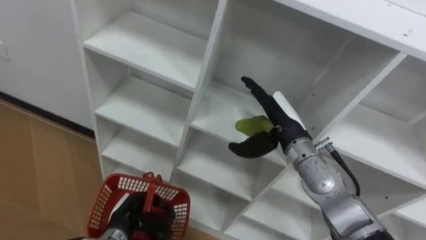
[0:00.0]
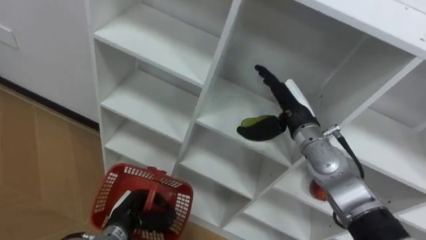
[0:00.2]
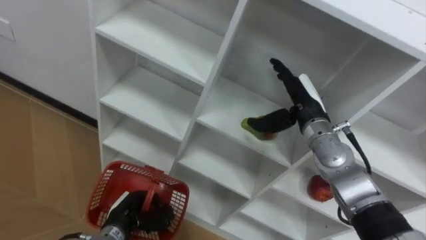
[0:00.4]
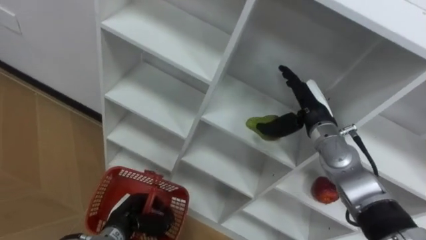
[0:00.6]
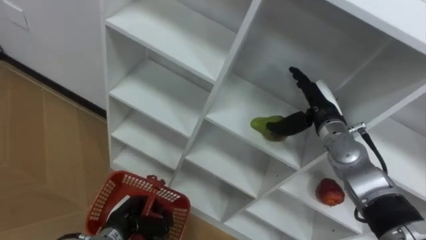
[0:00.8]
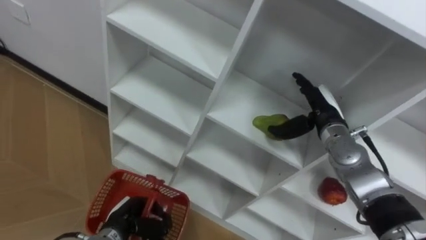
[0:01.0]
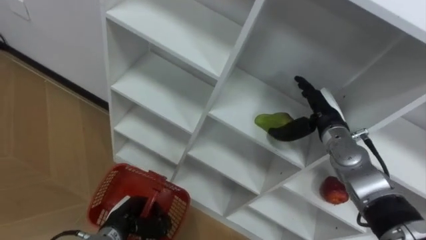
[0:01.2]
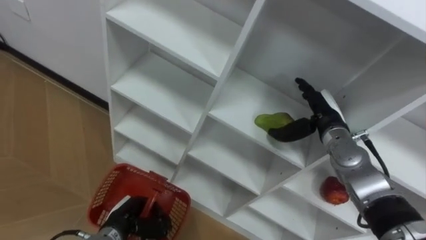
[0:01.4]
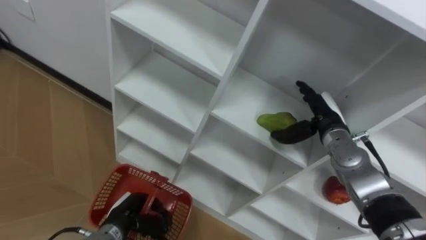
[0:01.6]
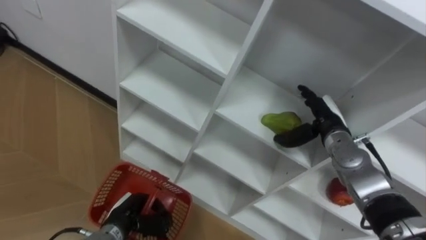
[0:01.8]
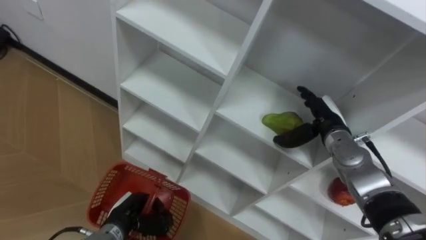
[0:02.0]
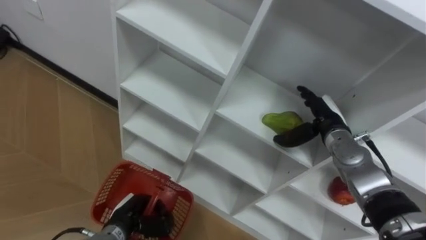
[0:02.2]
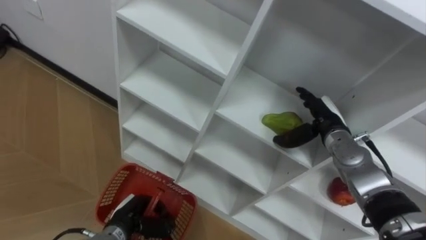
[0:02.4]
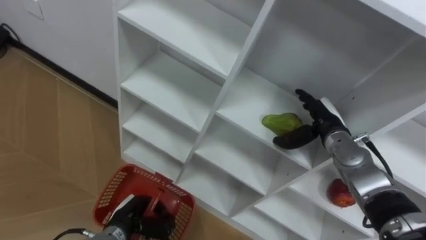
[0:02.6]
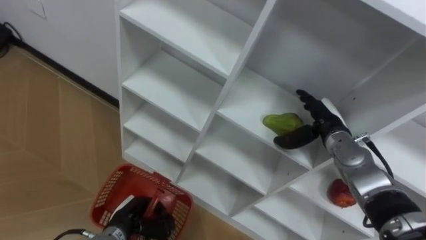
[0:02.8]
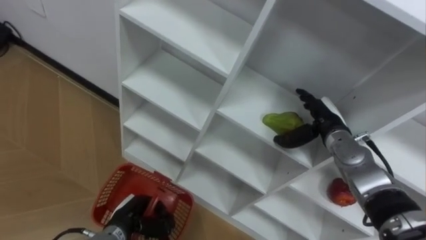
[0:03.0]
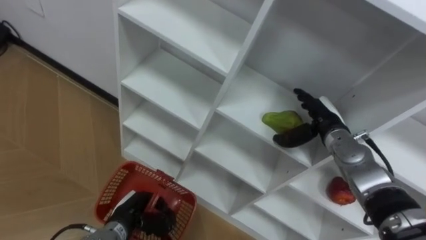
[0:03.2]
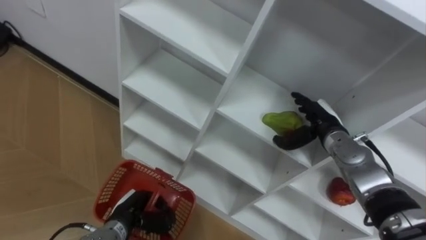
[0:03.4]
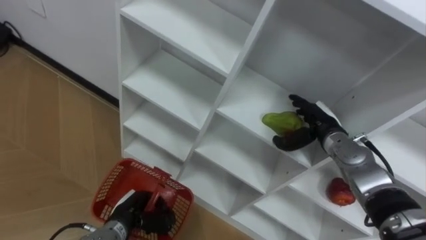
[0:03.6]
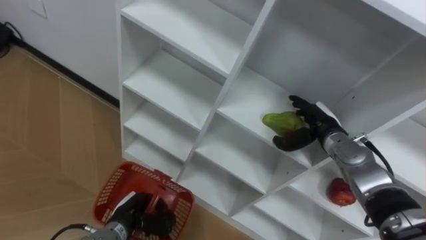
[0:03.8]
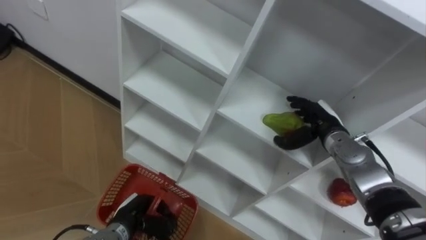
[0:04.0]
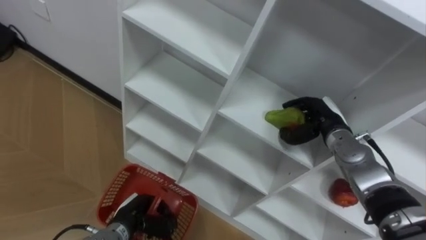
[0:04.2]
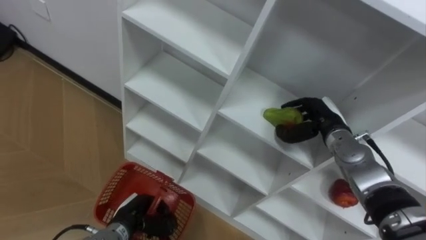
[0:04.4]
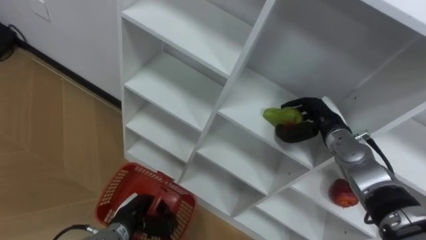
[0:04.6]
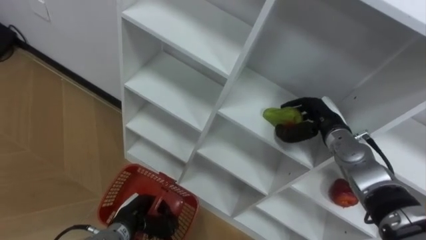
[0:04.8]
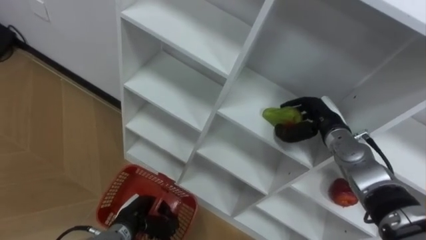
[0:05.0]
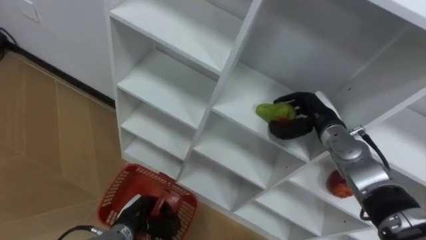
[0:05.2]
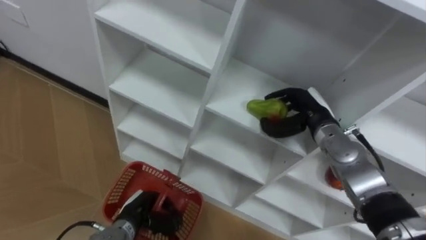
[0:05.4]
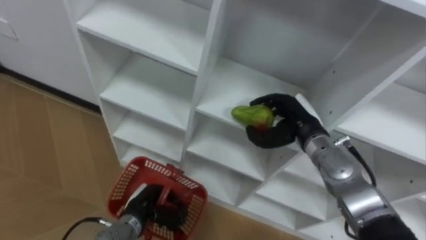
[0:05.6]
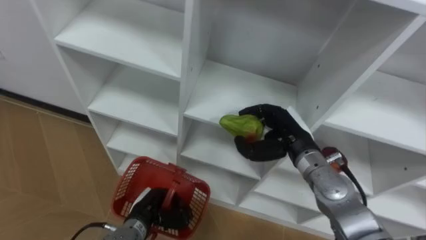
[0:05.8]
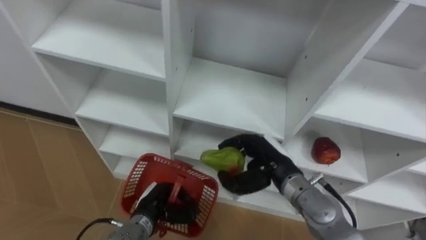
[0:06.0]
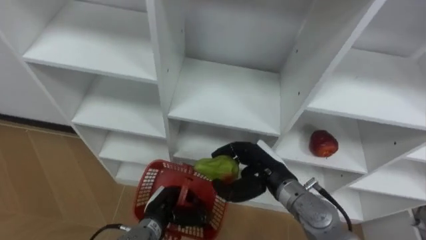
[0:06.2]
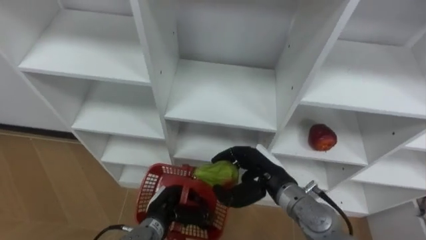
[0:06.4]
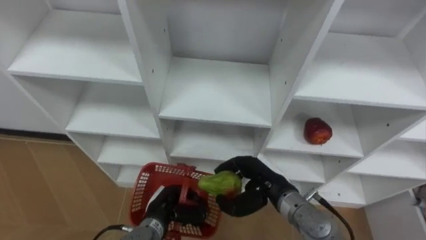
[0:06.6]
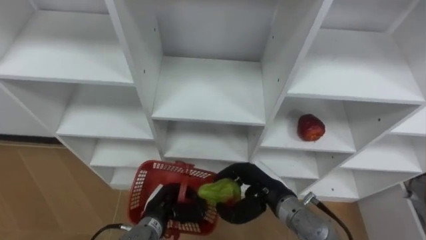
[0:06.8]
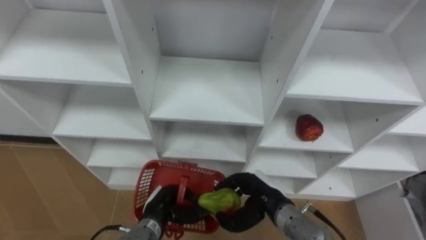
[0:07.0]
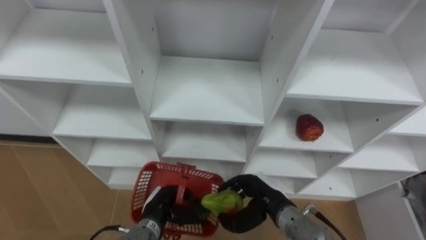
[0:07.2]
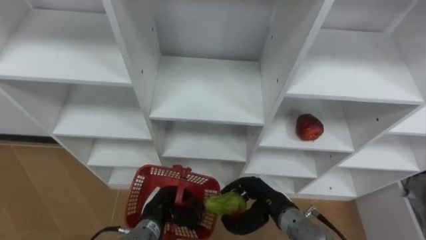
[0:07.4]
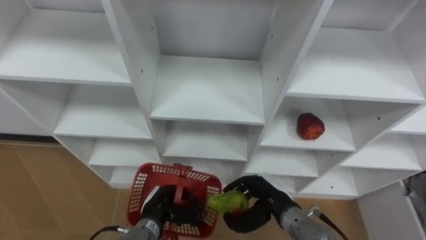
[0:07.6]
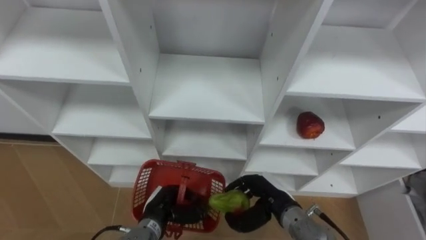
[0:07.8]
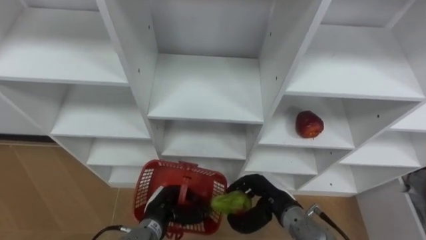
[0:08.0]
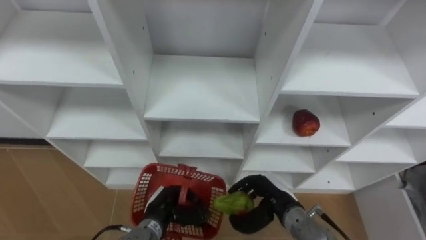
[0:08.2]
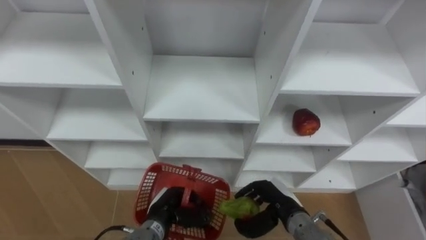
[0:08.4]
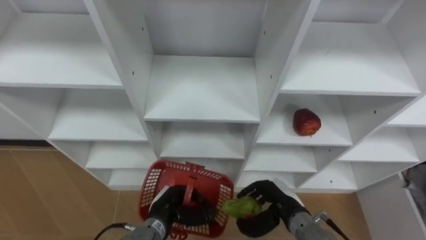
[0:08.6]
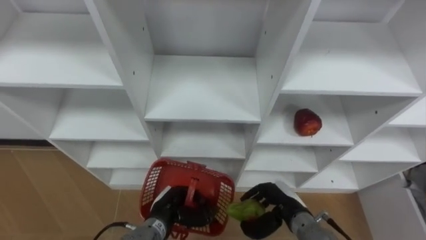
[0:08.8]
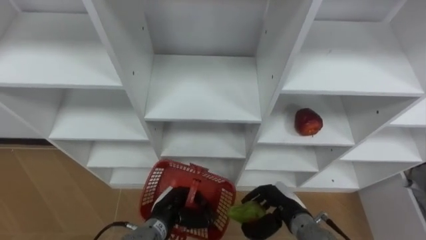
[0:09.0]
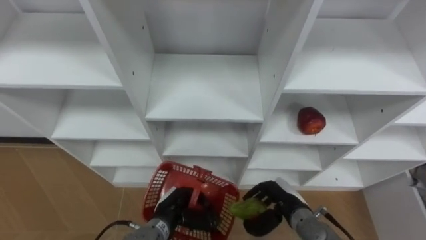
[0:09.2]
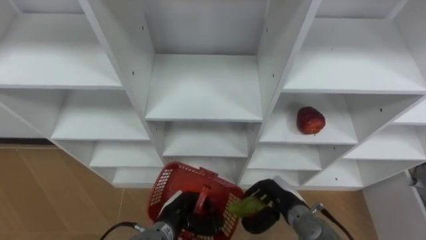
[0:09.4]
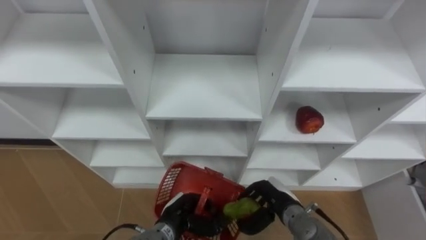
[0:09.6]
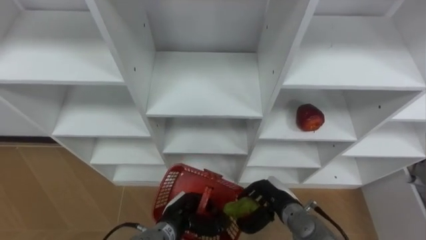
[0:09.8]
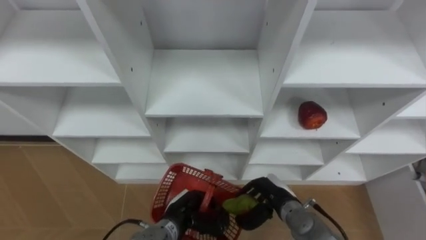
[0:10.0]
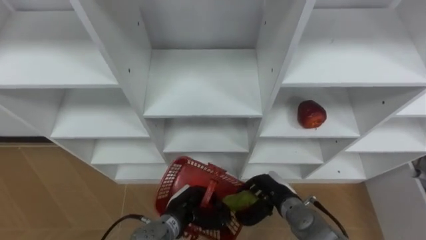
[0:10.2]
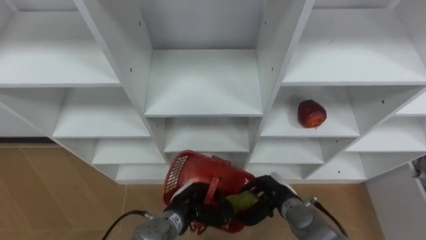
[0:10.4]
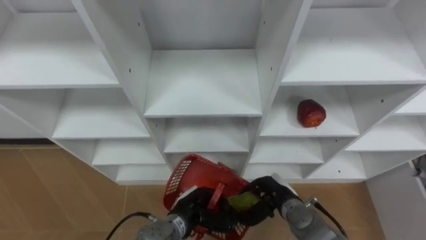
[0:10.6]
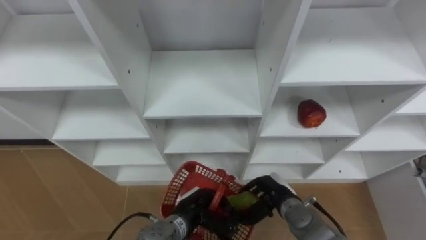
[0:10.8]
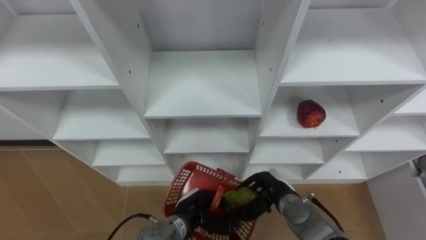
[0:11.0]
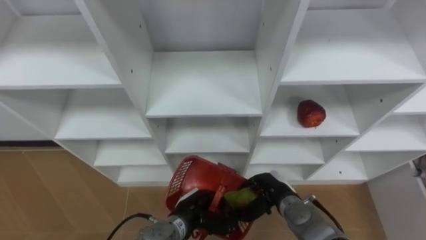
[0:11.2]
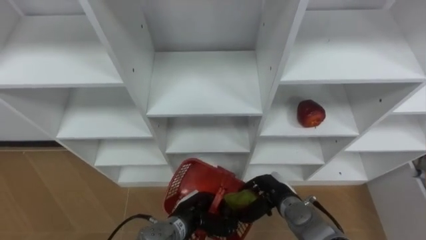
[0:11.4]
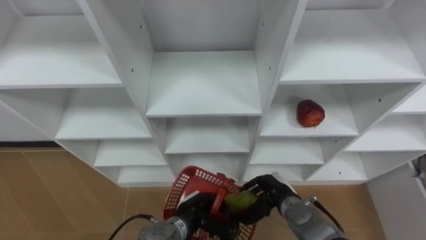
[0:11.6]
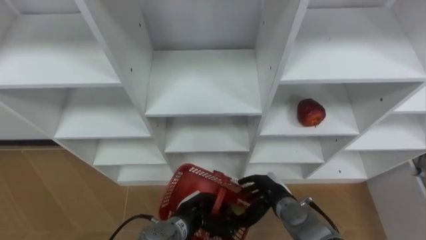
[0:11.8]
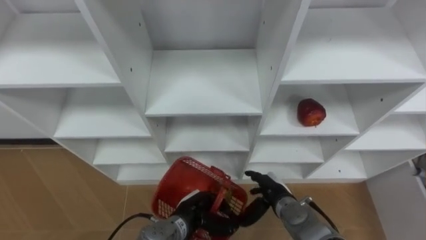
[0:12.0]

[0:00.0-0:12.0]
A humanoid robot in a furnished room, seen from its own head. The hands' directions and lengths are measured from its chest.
Task of the whole recording: Hold the basket and collect the fruits from 3 different cells of the closet into it.
0:00.0 to 0:01.6: The right hand moves to the right, roughly 10 cm.
0:01.6 to 0:03.0: There are only small adjustments of the hands.
0:03.0 to 0:04.4: The right hand closes up.
0:04.4 to 0:06.0: The right hand is displaced to the left and backward by approximately 15 cm.
0:06.0 to 0:07.6: The right hand goes about 10 cm downward and backward.
0:07.6 to 0:09.0: The hands stay close to where they were, moving slightly.
0:10.4 to 0:12.0: The right hand opens.

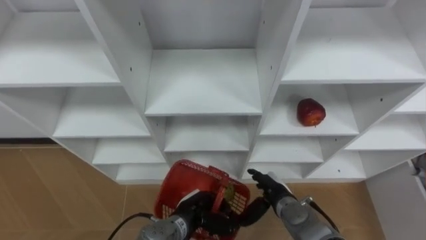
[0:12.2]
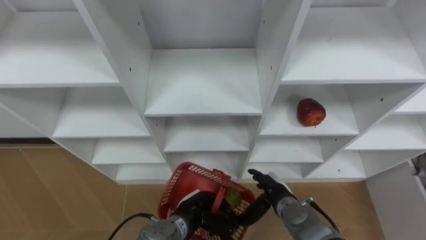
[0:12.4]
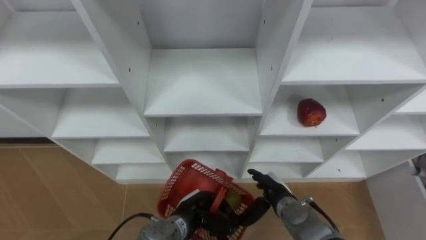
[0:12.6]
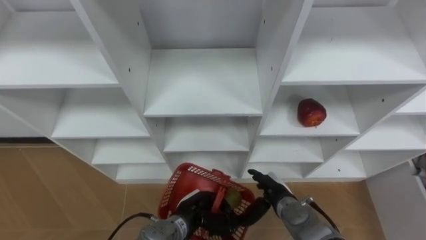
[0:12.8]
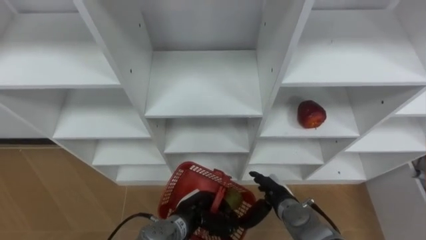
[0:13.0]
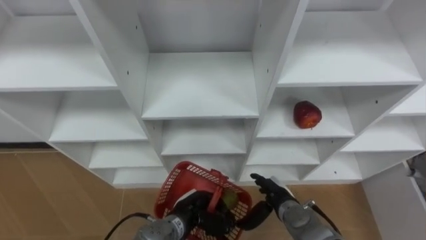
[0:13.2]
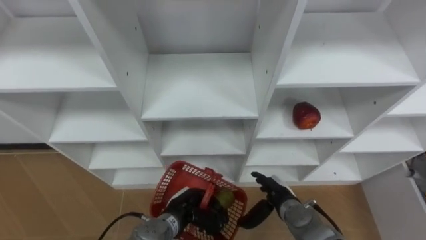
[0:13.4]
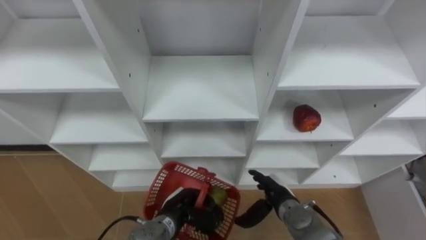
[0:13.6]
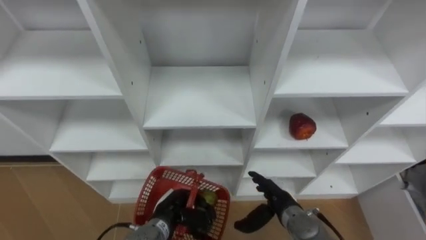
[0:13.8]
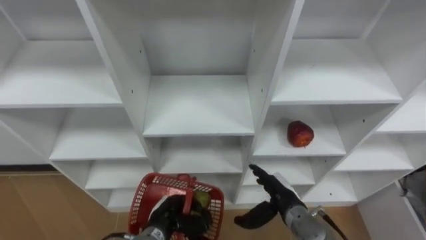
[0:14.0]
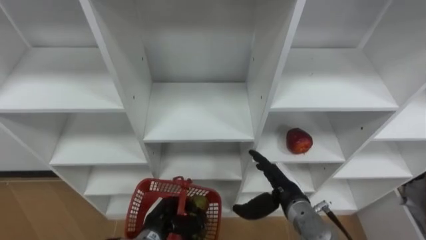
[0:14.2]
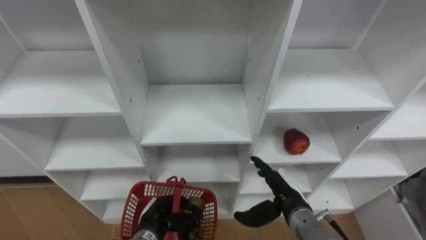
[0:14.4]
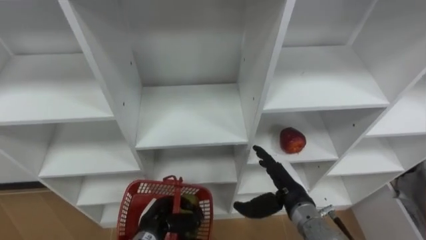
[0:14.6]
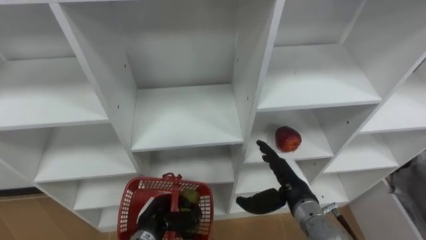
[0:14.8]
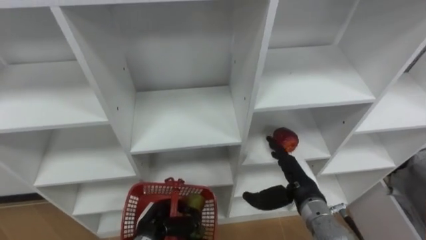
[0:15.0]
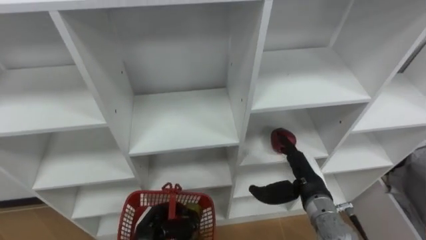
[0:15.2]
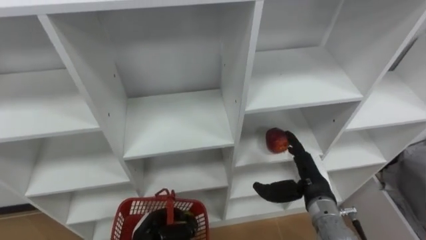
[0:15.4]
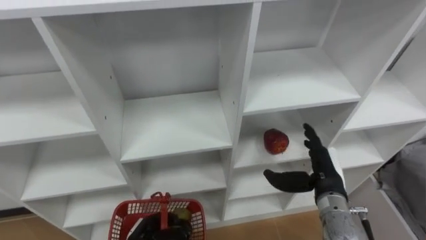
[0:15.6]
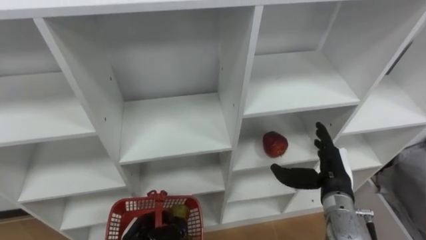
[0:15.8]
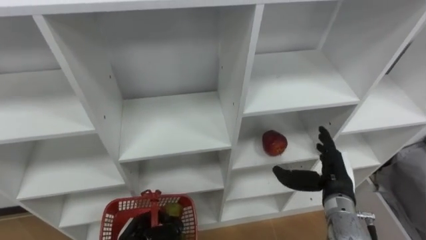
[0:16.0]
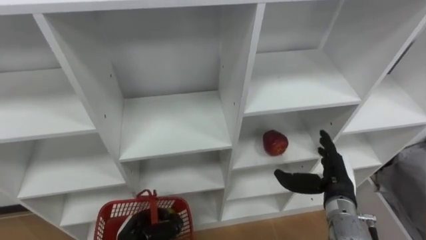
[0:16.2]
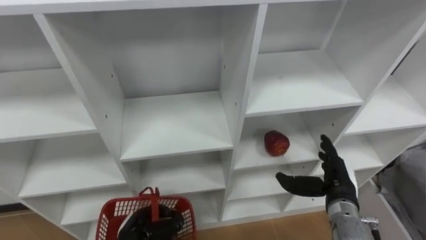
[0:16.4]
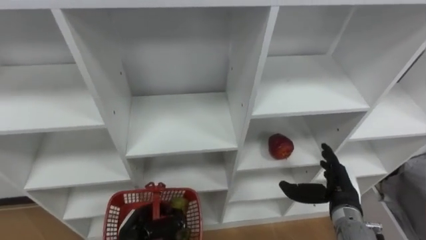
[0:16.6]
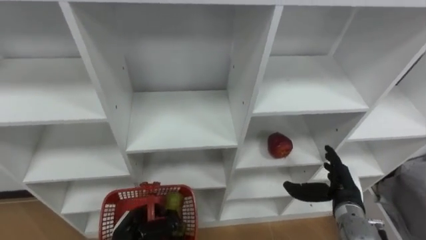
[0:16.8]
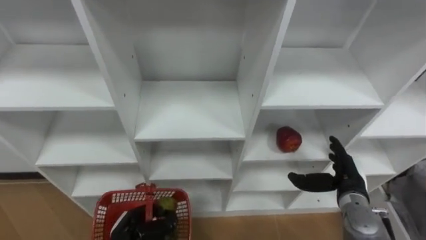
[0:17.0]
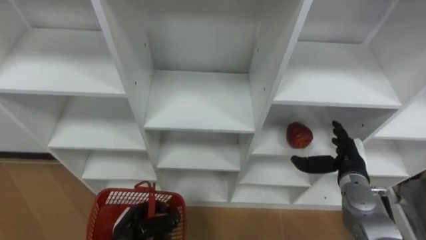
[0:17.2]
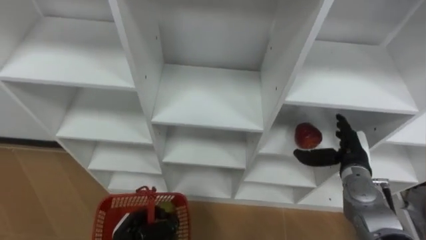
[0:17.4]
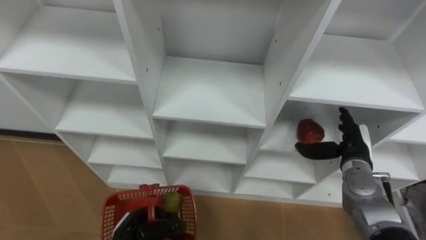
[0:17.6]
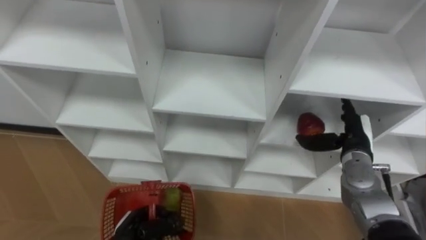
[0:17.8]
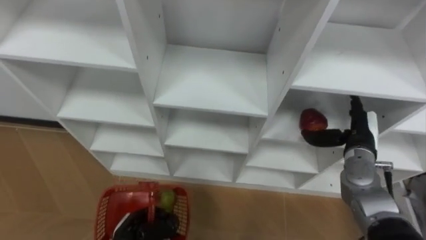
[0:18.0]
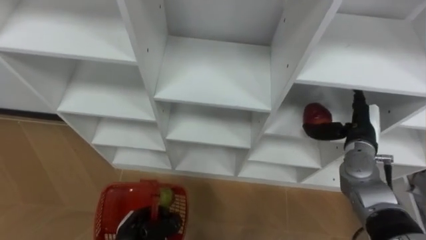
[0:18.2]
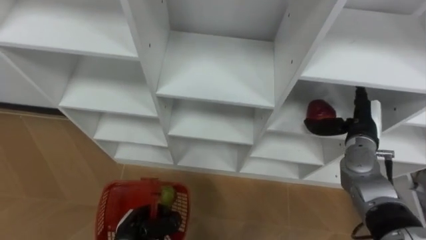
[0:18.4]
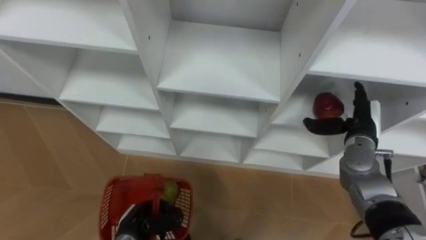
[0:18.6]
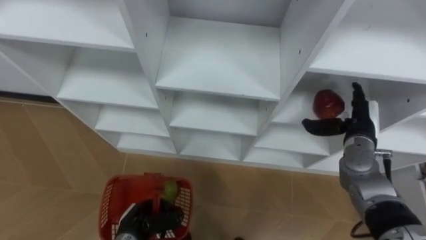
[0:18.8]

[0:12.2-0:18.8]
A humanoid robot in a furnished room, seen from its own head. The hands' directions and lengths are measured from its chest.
Task of the whole recording: Hold the basket and collect the fruits from 3 different cells of the closet into it.
0:13.8 to 0:15.4: The right hand travels upward and to the right by approximately 10 cm. The left hand shifts by roughly 5 cm.
0:15.4 to 0:17.2: The right hand heads to the right, covering some 10 cm.
0:17.2 to 0:18.8: The right hand is displaced forward and upward by approximately 10 cm.
